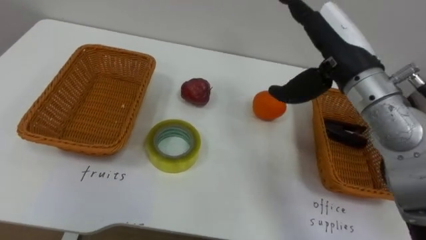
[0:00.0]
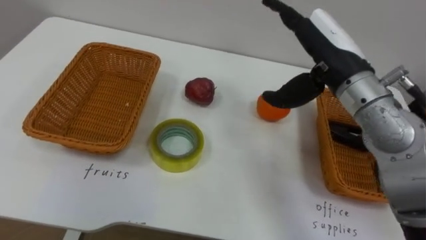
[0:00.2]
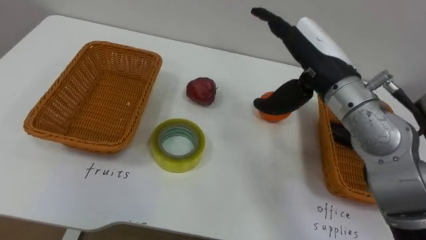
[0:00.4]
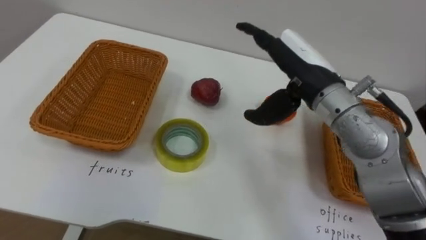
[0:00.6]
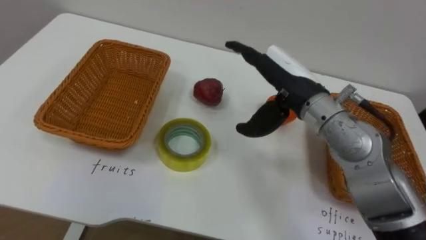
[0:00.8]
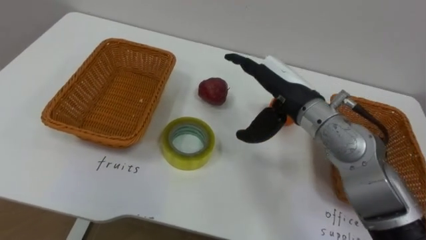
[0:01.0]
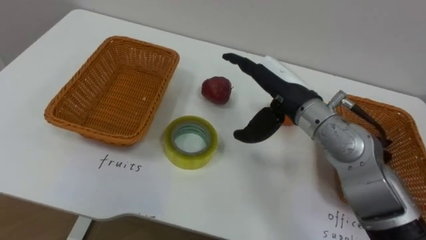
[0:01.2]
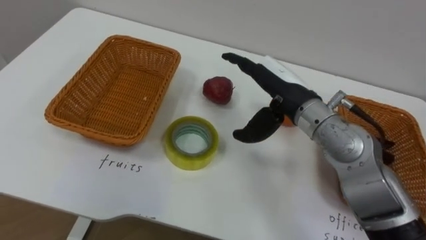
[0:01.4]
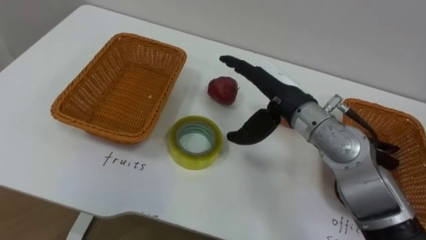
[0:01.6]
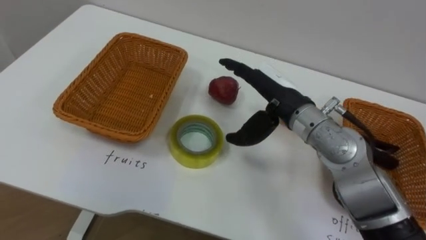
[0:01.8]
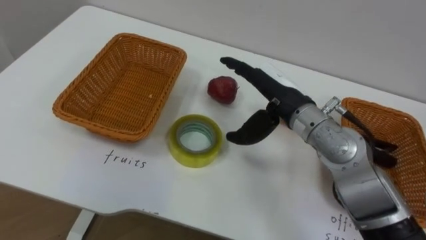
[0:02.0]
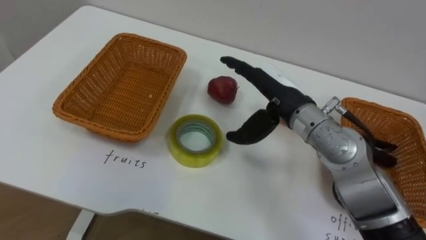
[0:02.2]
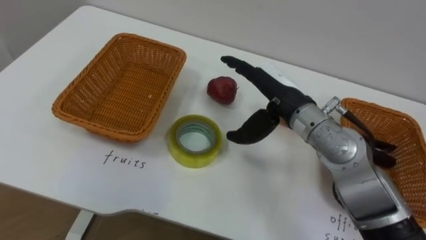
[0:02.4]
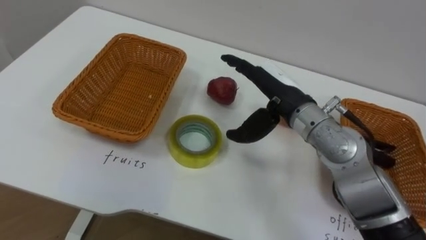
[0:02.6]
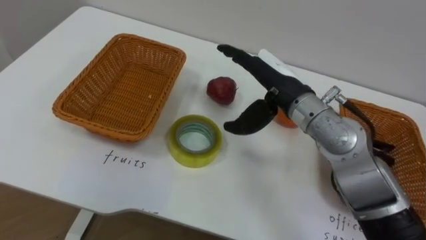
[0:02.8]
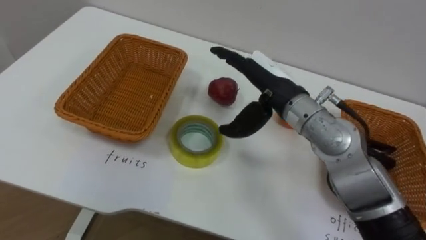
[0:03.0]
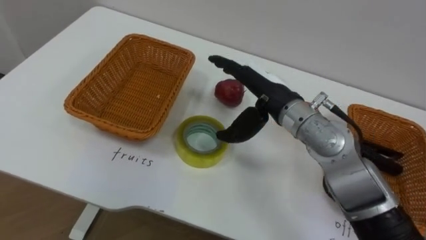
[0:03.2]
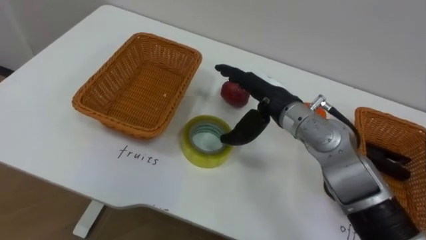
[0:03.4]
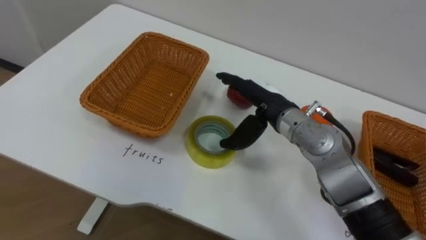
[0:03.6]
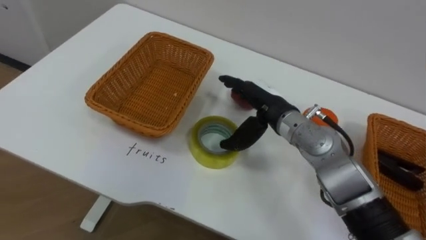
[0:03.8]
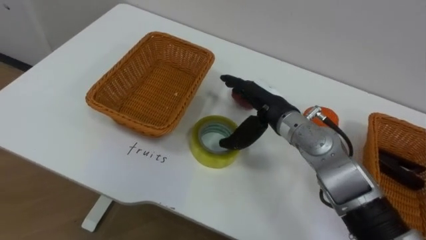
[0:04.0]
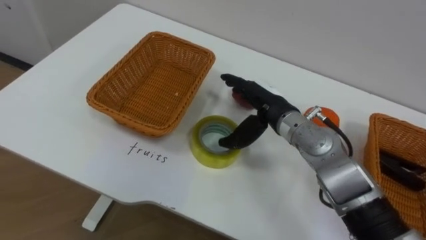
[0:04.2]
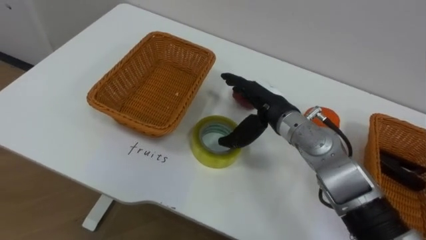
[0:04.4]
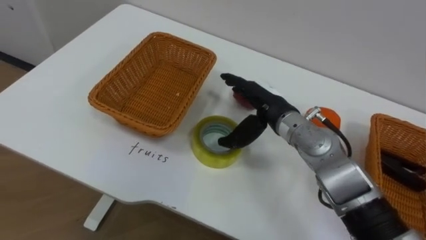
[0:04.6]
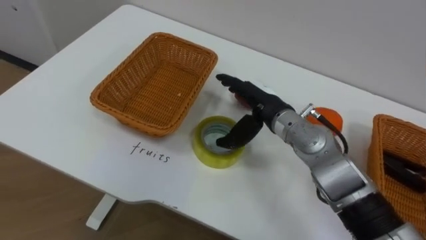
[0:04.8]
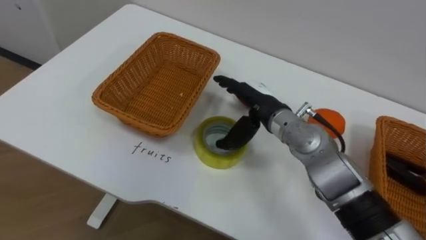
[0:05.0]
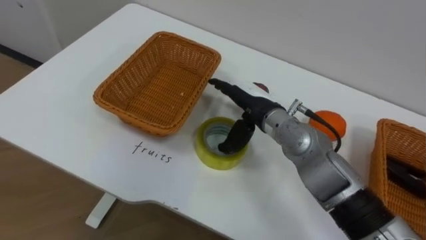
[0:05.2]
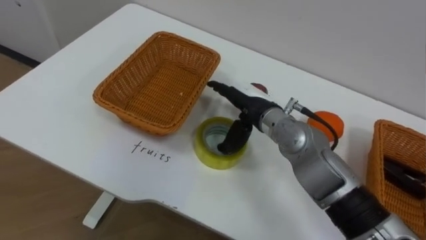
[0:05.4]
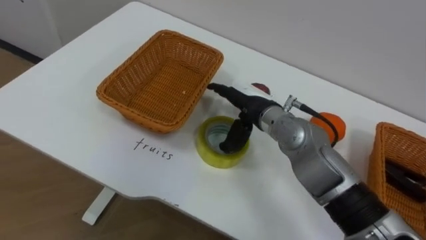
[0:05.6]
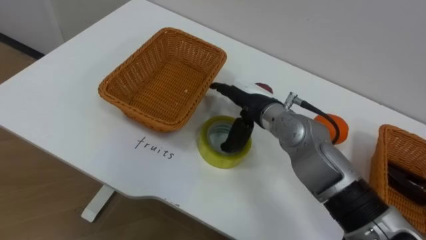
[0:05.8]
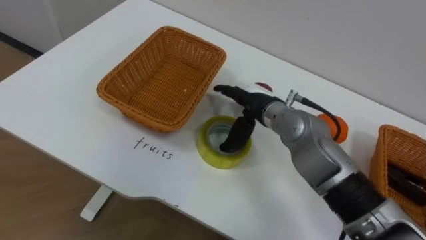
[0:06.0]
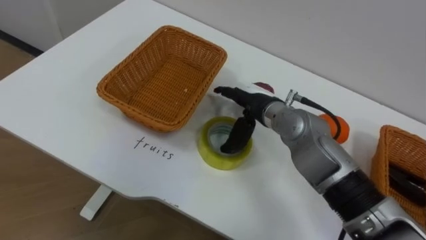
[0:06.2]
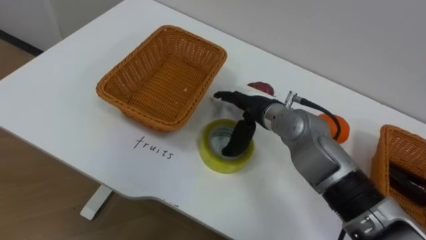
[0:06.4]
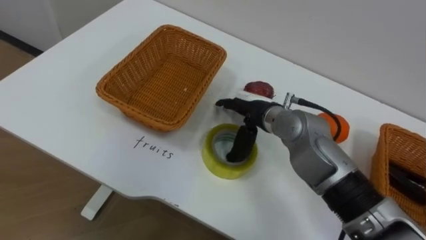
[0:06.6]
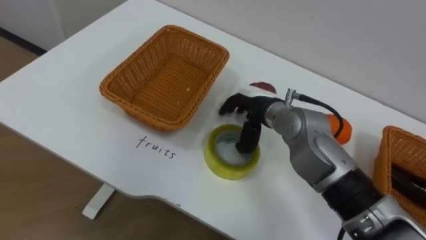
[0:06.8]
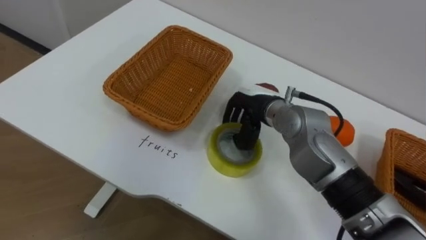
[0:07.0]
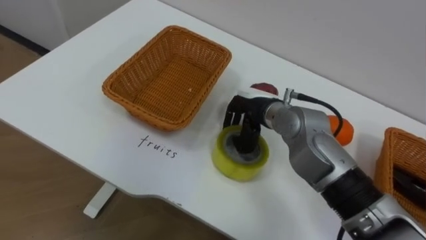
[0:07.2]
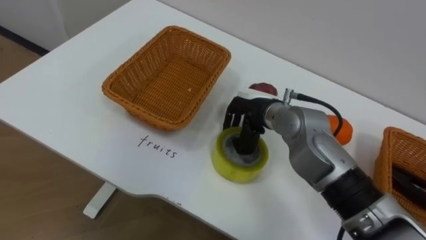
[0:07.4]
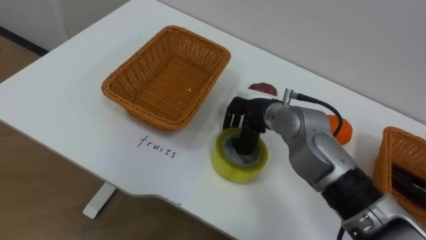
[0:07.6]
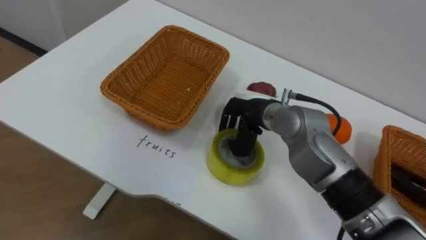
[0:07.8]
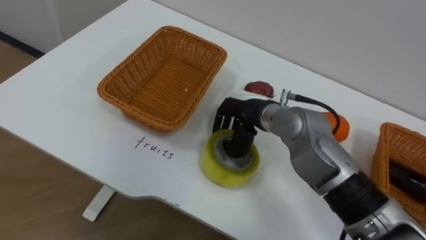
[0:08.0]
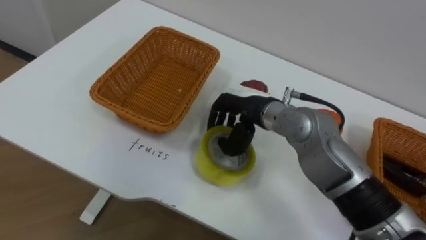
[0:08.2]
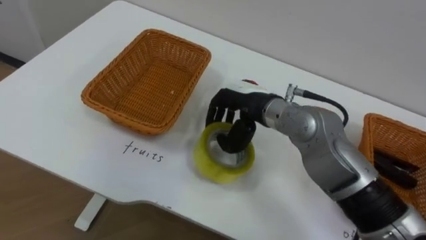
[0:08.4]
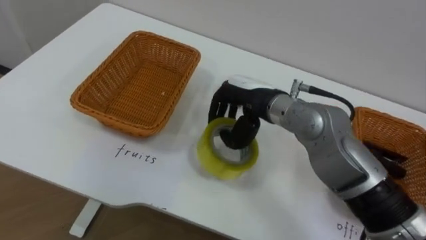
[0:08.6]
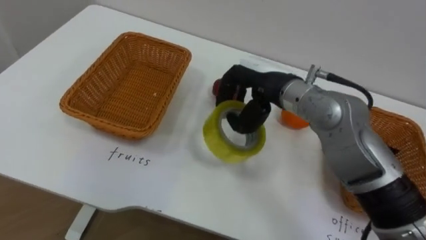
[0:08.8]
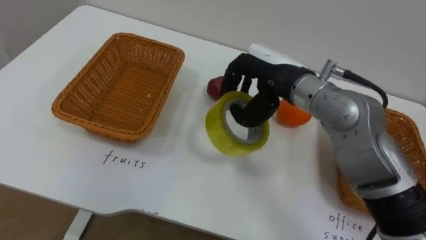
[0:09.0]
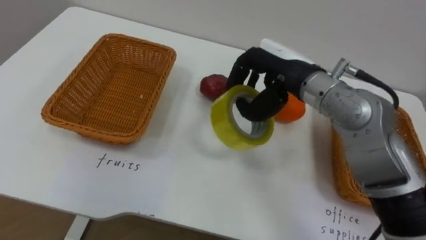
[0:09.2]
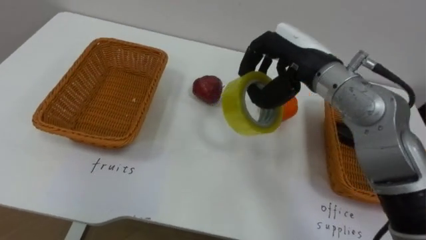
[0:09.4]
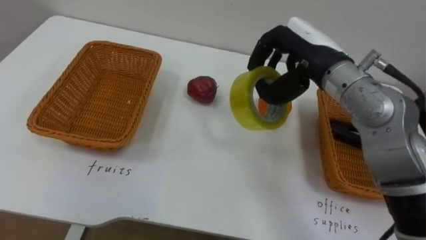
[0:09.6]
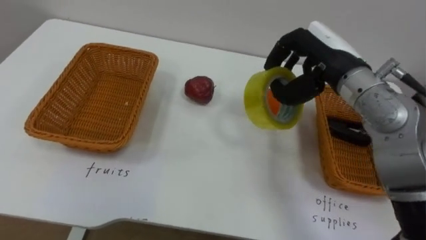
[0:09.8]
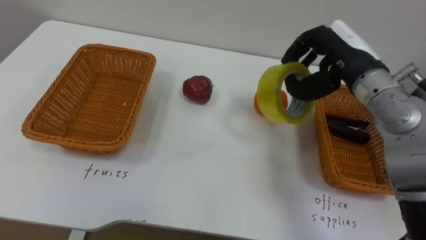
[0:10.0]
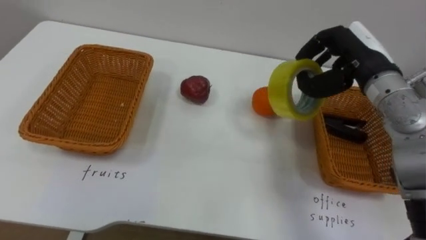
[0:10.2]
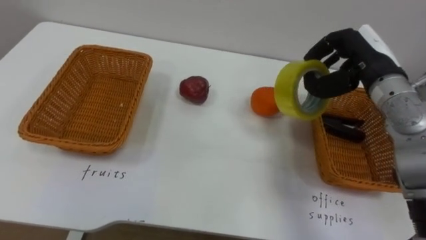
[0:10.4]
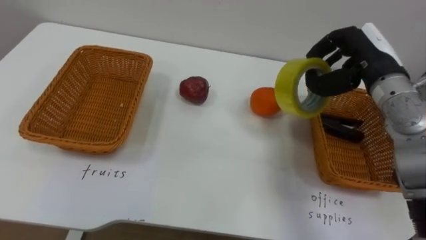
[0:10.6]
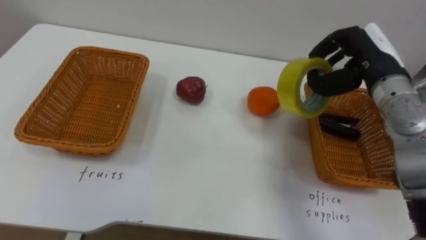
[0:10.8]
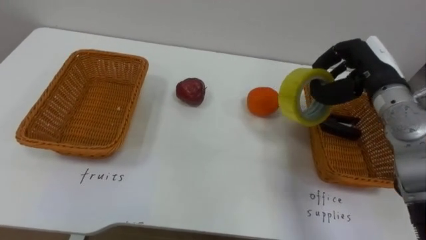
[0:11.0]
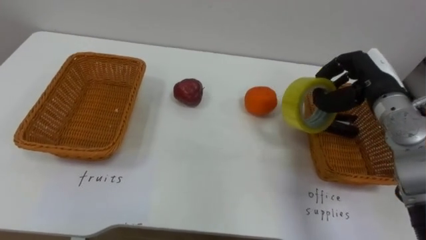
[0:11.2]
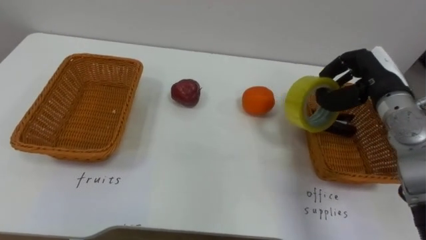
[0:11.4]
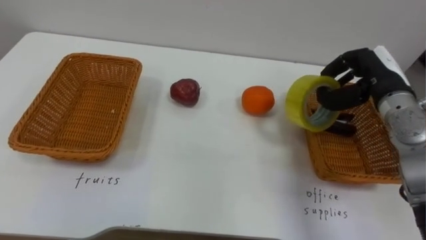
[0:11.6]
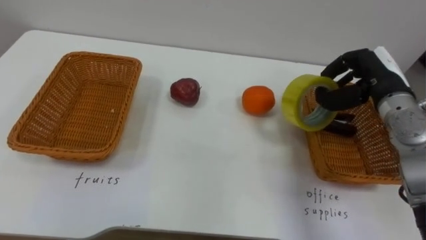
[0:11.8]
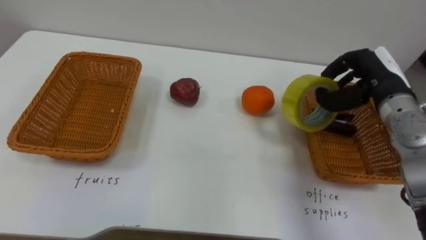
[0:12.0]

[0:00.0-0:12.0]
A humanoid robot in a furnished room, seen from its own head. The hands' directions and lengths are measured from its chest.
Task of the whole recording: Separate the items on the table and place them into the two baskets.
0:00.0 to 0:01.6: The right hand moves downward and to the left, roughly 10 cm.
0:03.0 to 0:04.4: The right hand goes approximately 5 cm downward.
0:06.0 to 0:07.6: The right hand closes its fingers.
0:07.6 to 0:09.0: The right hand is displaced upward by some 10 cm.
0:09.0 to 0:10.4: The right hand goes approximately 15 cm to the right.
0:10.4 to 0:12.0: The right hand moves about 5 cm.

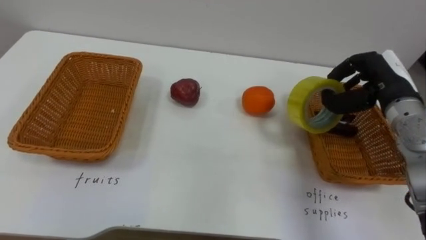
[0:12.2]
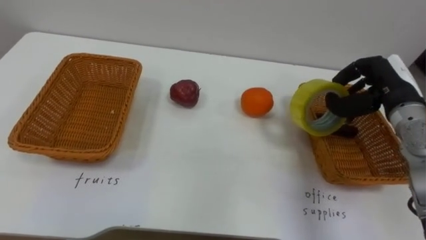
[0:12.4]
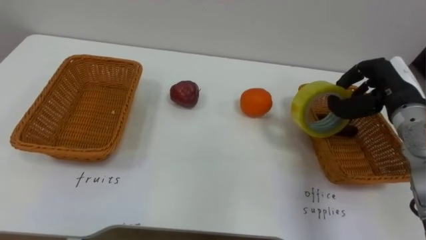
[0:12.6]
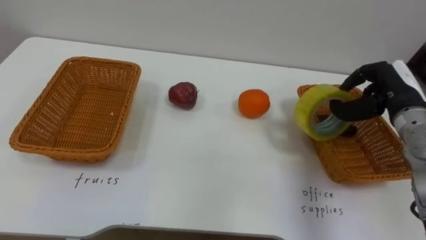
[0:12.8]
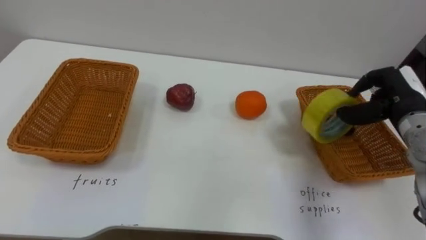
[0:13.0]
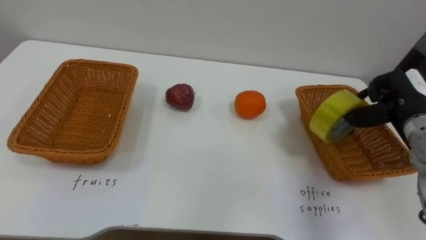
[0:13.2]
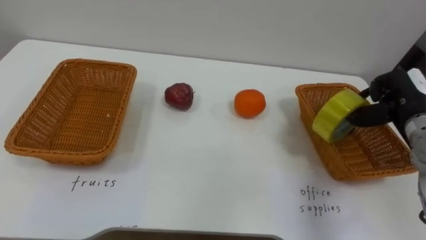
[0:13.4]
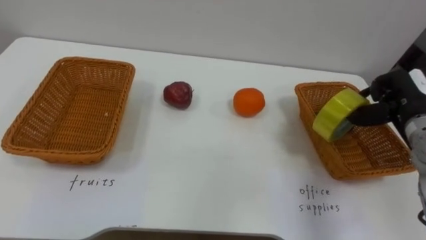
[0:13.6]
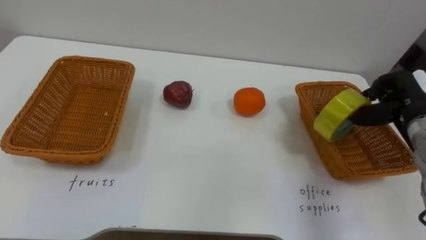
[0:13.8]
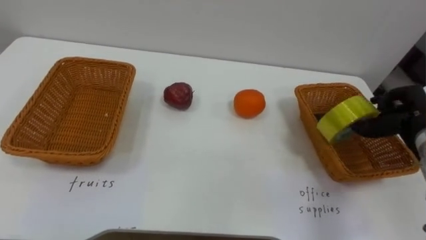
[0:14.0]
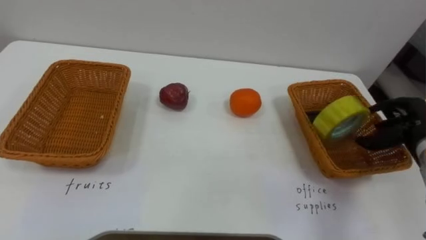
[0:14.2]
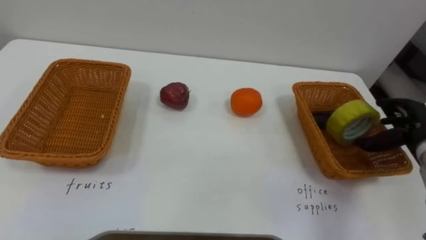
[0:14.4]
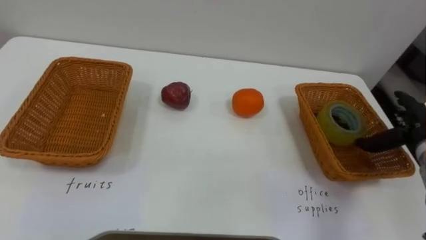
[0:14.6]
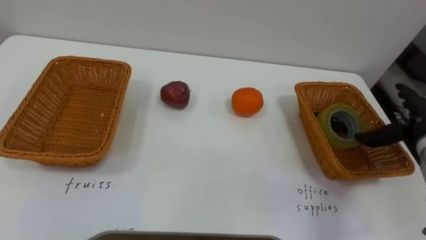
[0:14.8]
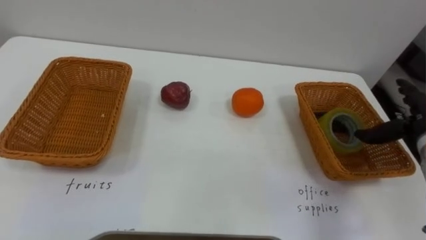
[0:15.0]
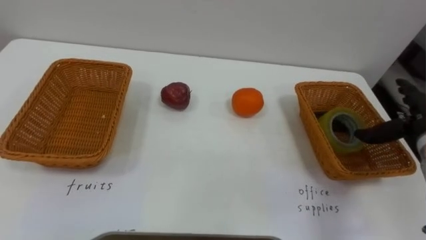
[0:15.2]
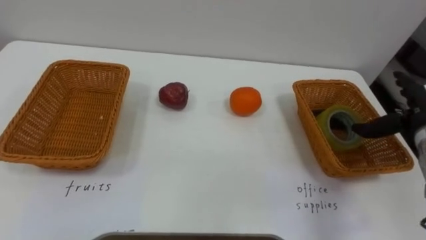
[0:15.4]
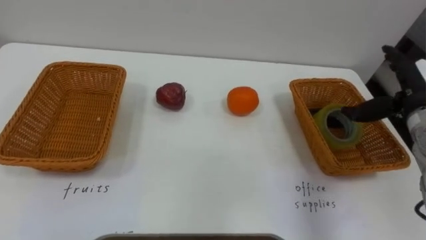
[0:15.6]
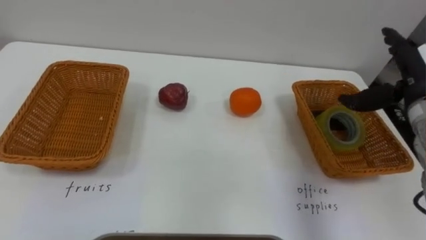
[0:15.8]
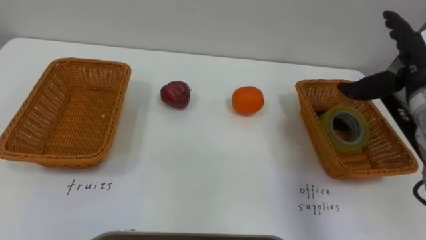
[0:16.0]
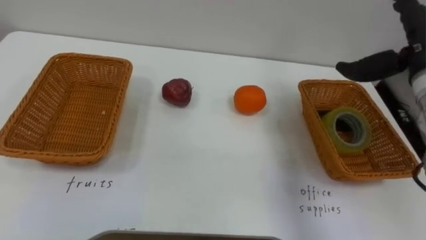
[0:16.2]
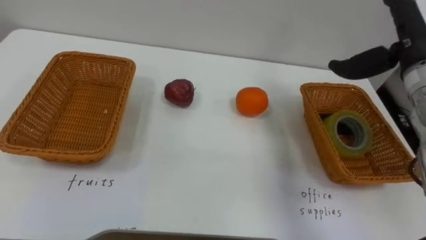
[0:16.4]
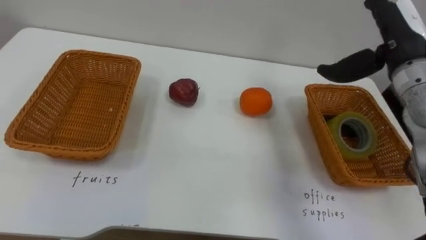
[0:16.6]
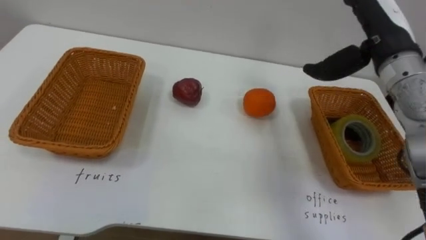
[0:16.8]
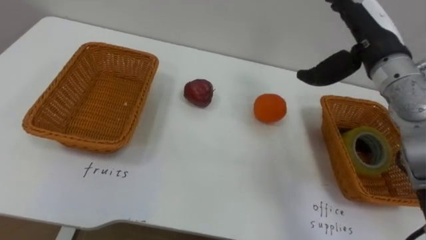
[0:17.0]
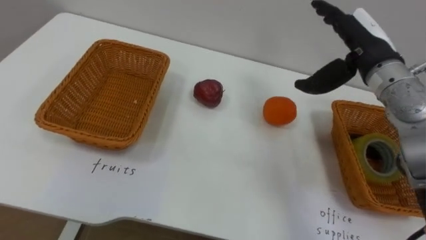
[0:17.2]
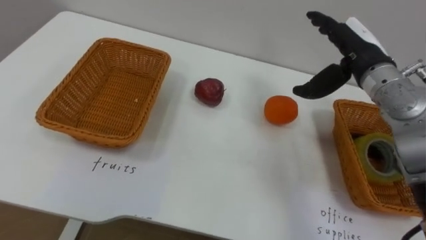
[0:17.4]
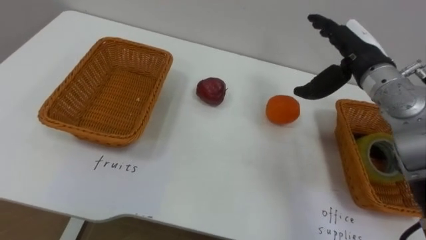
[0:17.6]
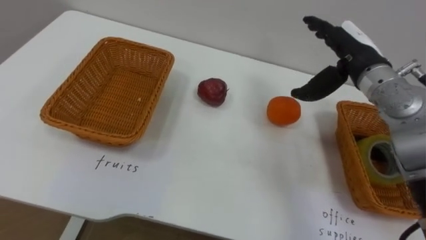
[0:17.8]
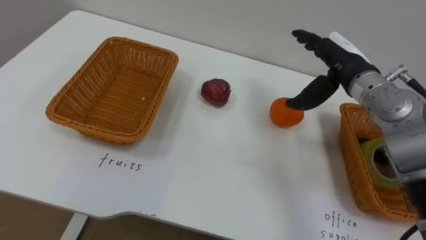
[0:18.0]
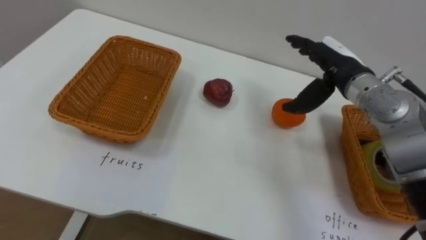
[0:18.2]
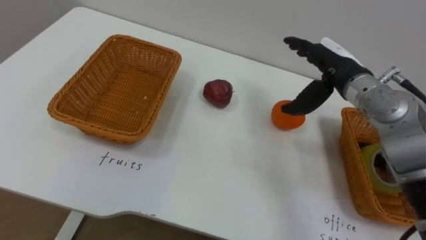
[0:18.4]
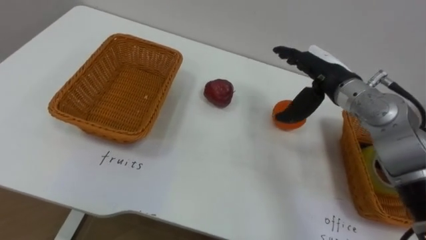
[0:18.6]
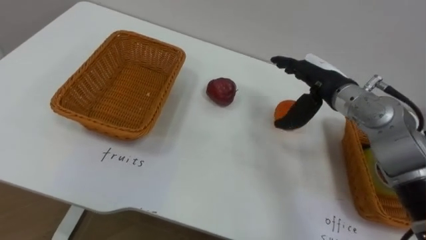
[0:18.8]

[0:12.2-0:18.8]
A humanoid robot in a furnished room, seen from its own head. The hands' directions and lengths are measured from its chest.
Task of the whole recording: Separate the items on the table and place them into the two baskets.
0:12.2 to 0:13.8: The right hand travels to the right by roughly 5 cm.
0:13.8 to 0:15.4: The right hand opens its fingers.
0:15.4 to 0:17.2: The right hand goes some 20 cm to the left and upward.
0:17.2 to 0:18.8: The right hand shifts about 5 cm downward.
